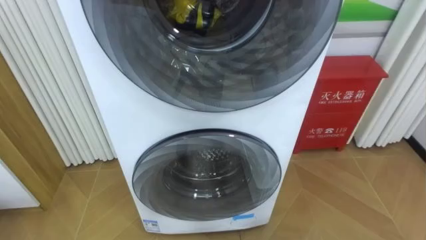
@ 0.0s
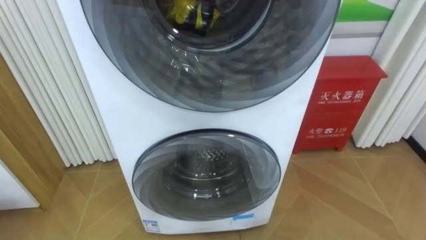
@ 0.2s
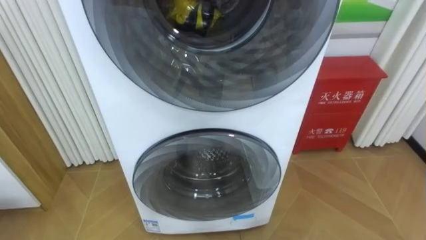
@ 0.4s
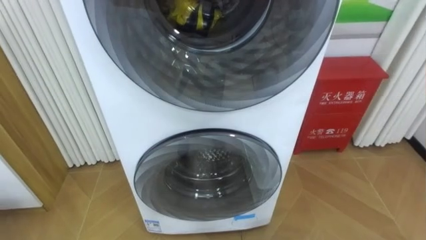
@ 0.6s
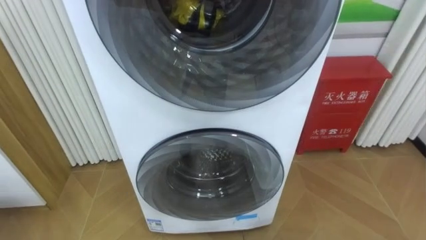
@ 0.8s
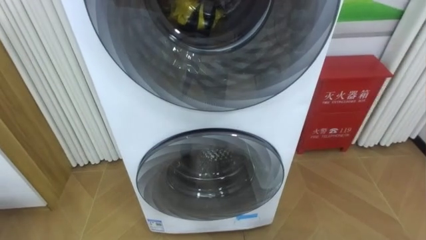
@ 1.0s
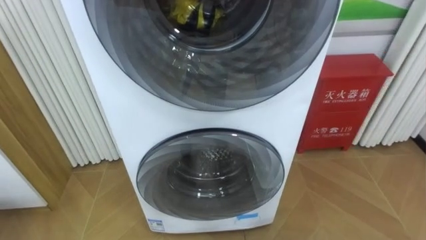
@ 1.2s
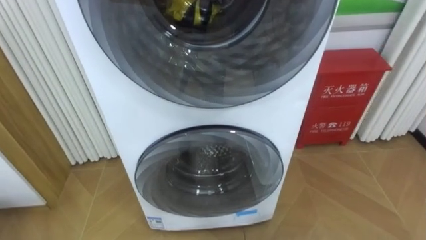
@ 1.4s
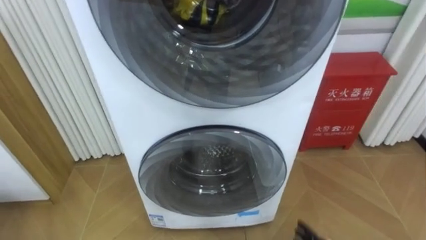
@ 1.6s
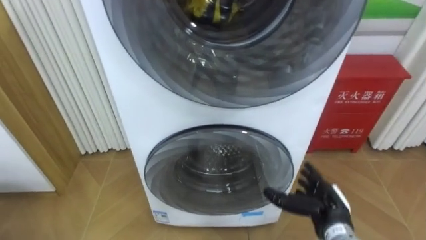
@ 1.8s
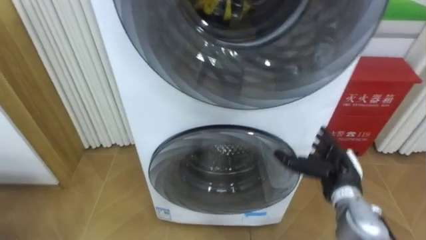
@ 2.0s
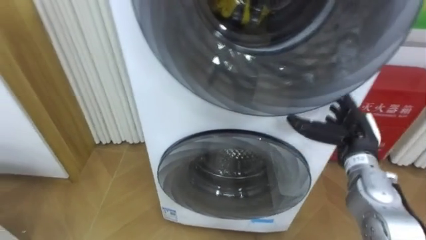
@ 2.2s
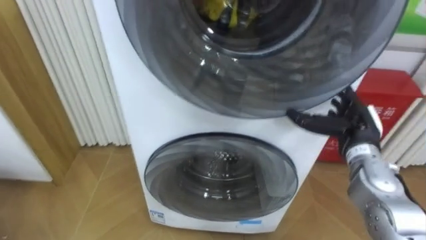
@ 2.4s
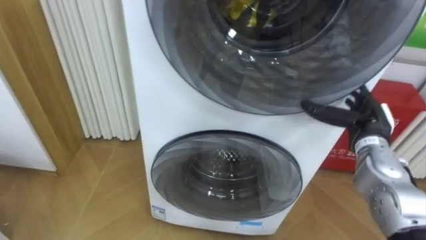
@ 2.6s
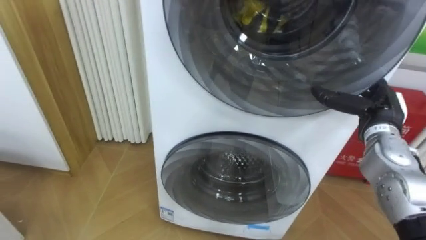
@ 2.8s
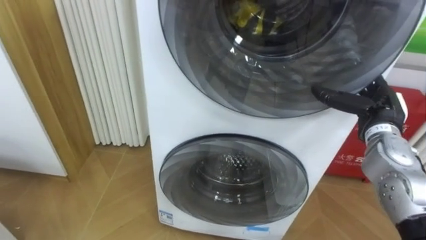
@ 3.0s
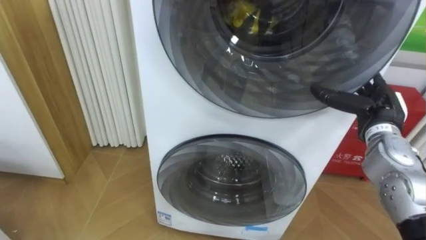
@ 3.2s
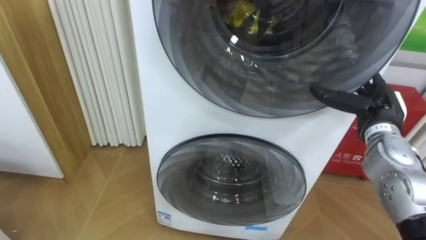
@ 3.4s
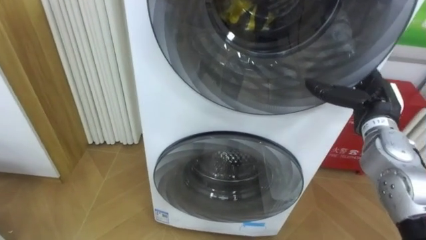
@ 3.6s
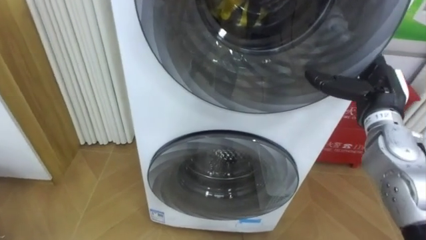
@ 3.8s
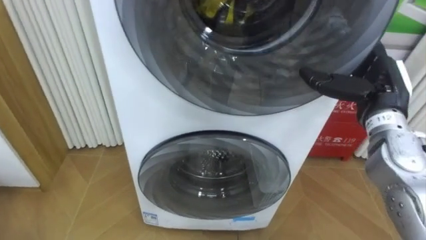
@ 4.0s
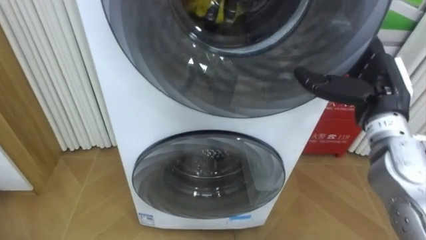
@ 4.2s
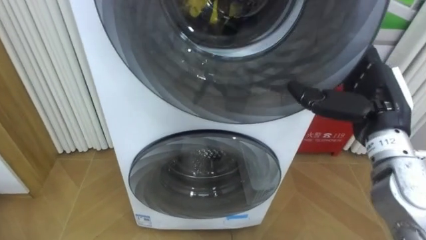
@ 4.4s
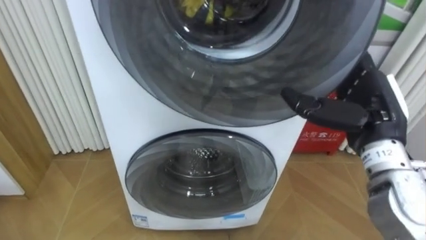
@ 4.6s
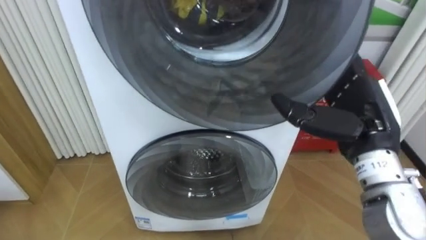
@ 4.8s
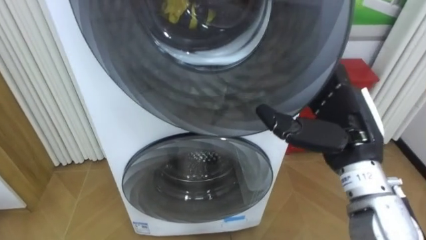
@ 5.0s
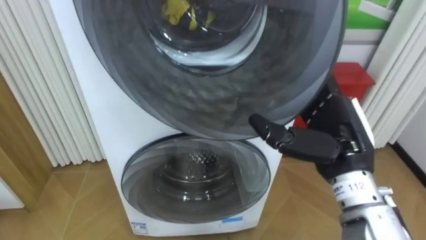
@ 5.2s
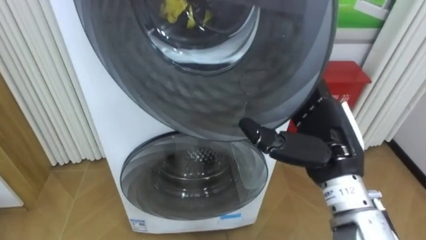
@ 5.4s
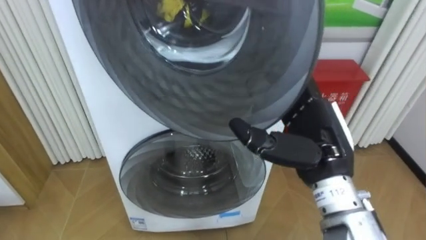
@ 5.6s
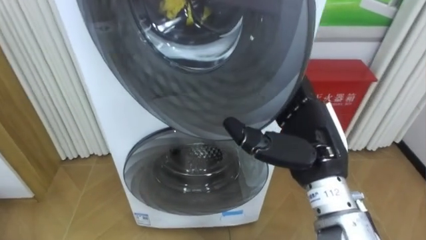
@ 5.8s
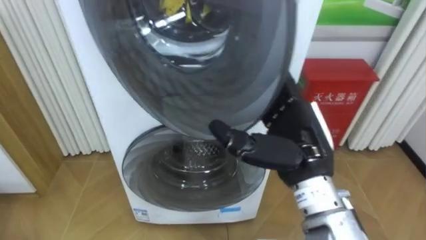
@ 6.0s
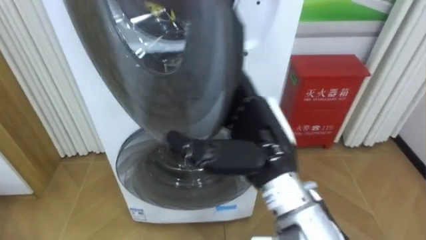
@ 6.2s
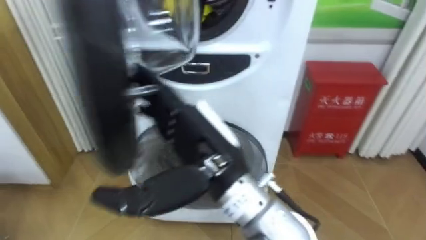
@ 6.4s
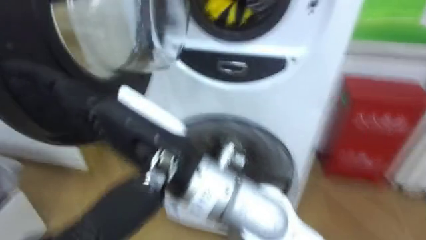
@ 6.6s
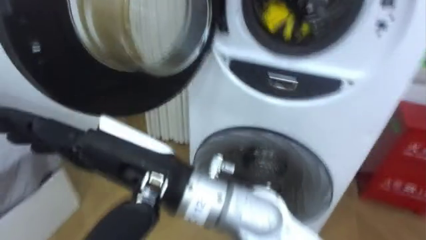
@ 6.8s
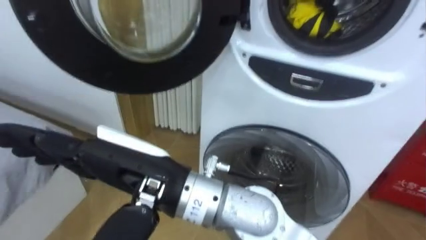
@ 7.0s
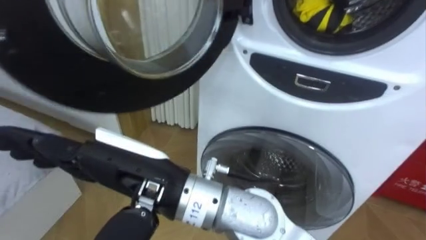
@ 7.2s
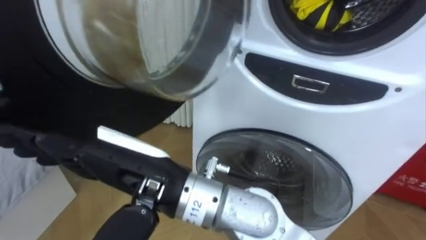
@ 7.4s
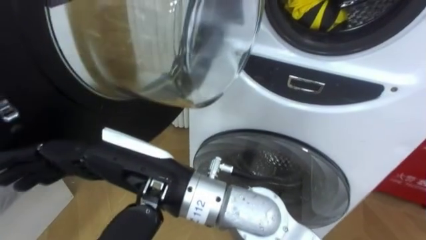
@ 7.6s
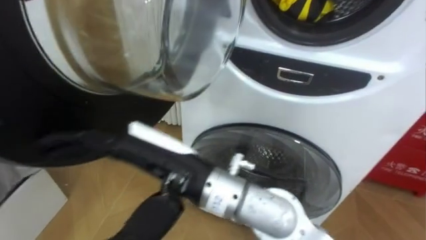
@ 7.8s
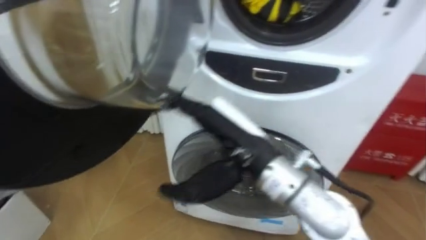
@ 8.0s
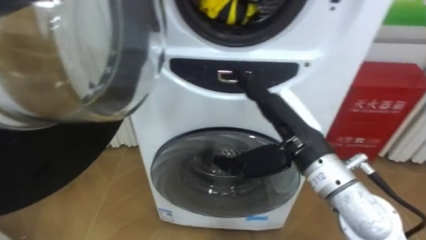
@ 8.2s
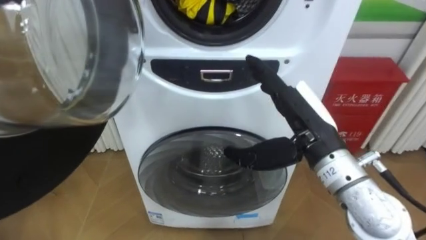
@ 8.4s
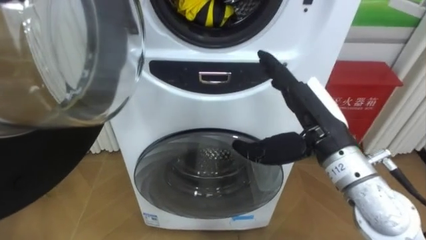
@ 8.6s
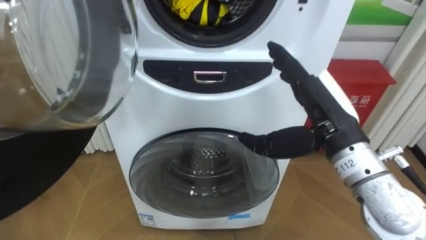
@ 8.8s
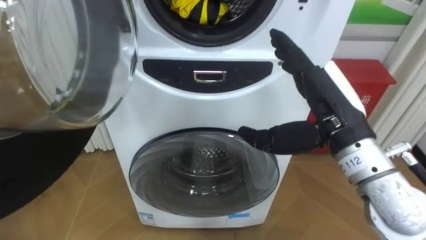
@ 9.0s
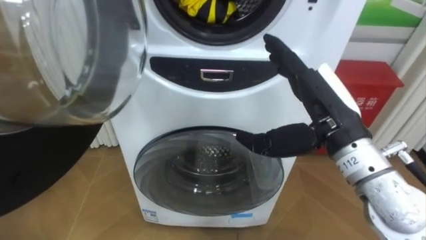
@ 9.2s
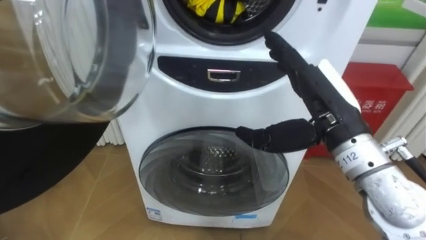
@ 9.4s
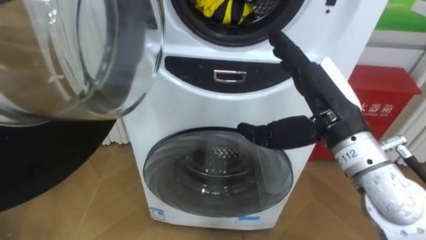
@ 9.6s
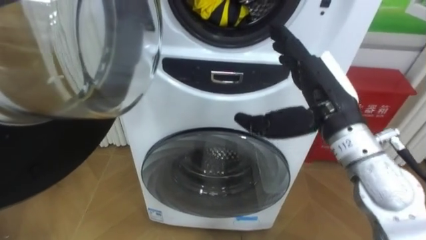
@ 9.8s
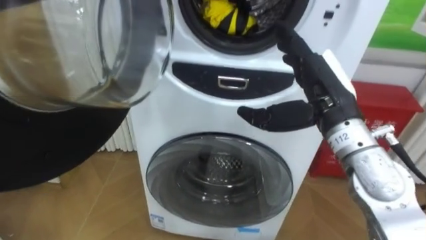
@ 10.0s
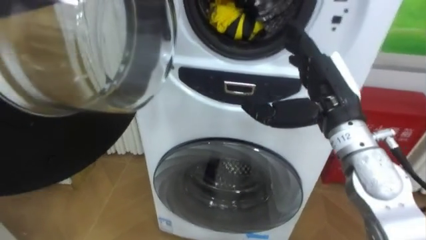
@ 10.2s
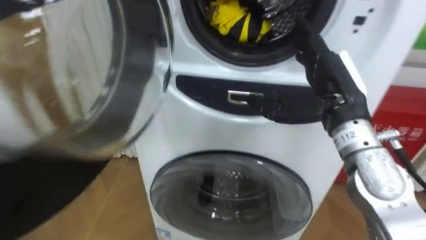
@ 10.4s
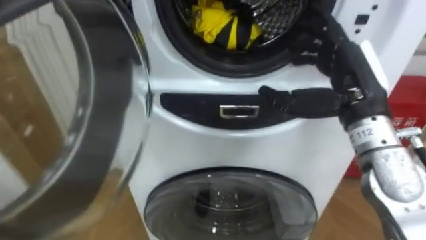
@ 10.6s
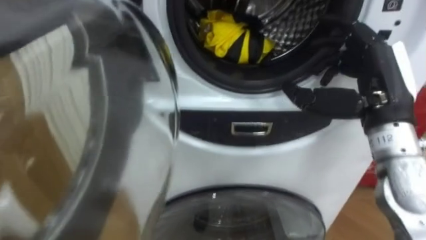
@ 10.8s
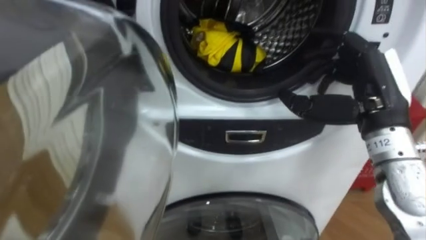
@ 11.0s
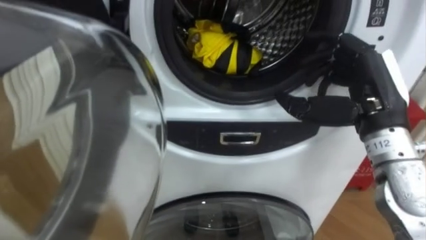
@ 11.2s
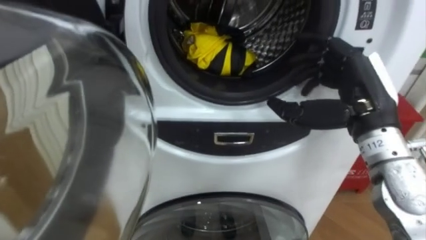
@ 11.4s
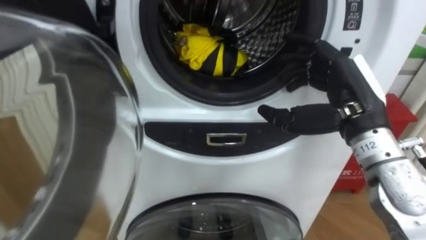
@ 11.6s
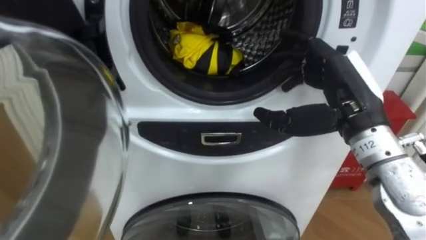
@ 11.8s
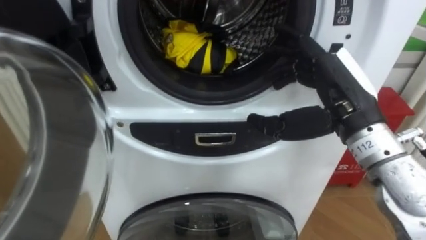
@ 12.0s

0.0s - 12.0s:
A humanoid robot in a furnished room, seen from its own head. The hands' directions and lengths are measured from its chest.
Task of the whole recording: Open the washing machine door, take out the yellow clothes, place them in the box on the right, and close the washing machine door.
3.0s - 4.4s: The right hand goes approximately 10 cm upward, backward and to the left.
4.4s - 6.0s: The right hand moves to the left and backward, about 15 cm.
6.0s - 7.6s: The right hand travels to the left by approximately 20 cm.
7.6s - 9.0s: The right hand is displaced to the right by roughly 25 cm.

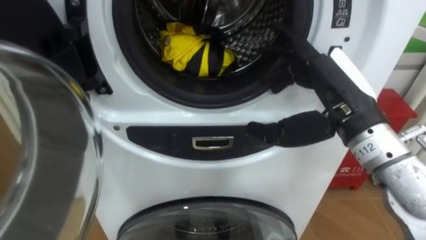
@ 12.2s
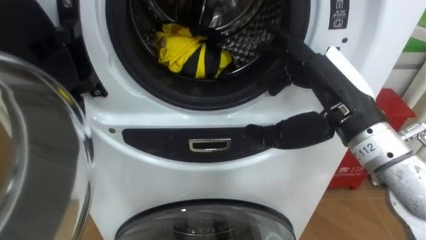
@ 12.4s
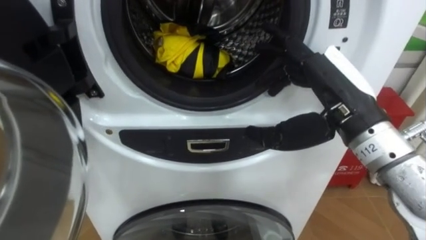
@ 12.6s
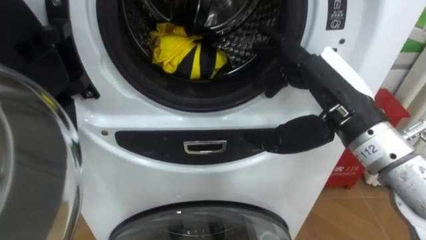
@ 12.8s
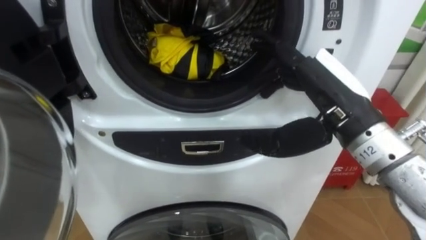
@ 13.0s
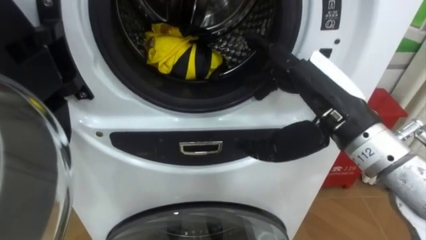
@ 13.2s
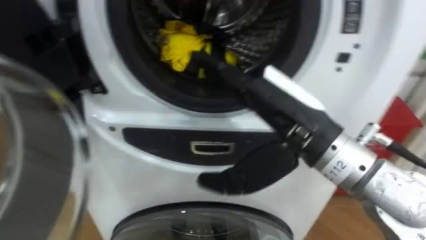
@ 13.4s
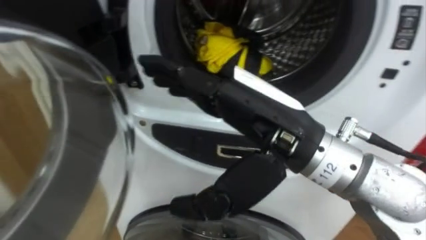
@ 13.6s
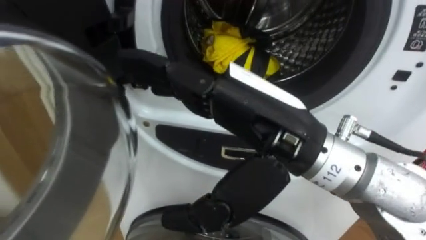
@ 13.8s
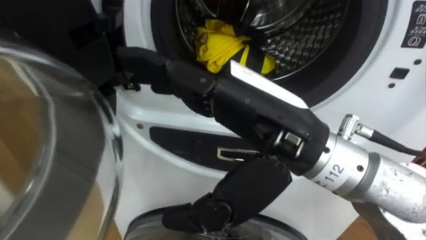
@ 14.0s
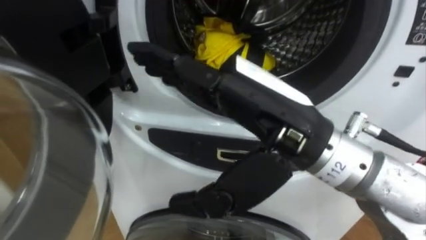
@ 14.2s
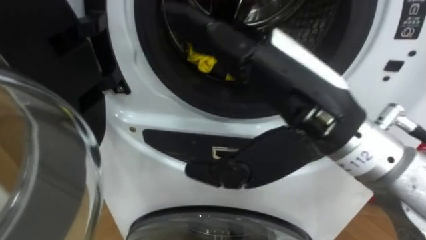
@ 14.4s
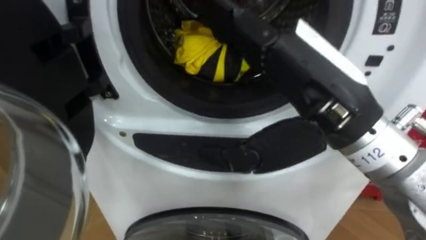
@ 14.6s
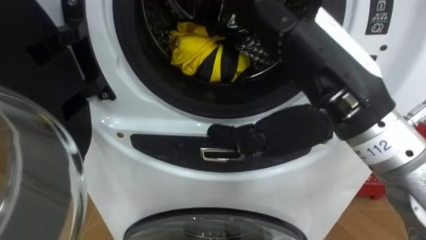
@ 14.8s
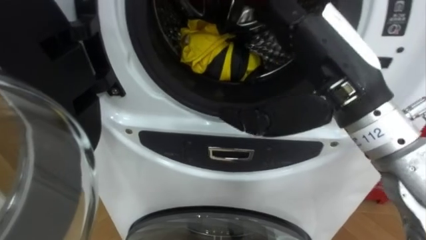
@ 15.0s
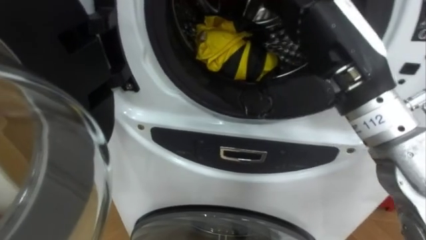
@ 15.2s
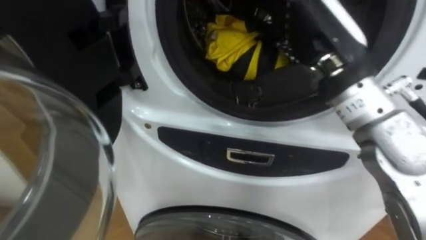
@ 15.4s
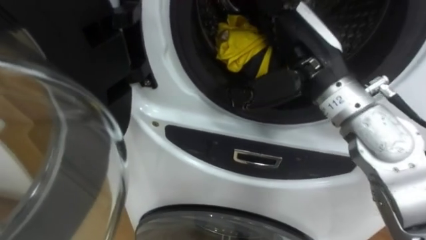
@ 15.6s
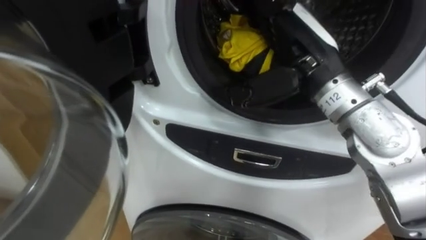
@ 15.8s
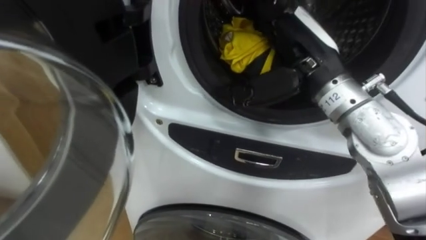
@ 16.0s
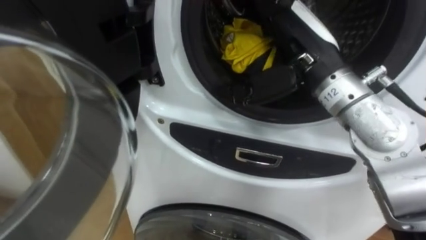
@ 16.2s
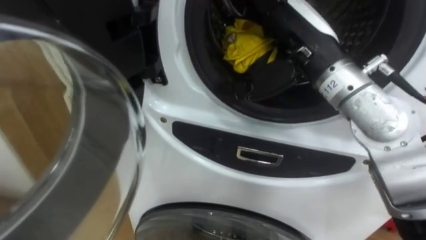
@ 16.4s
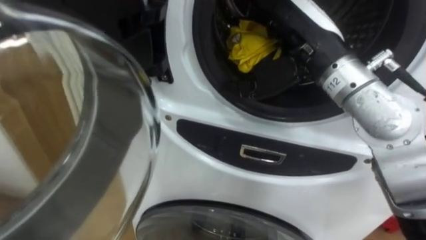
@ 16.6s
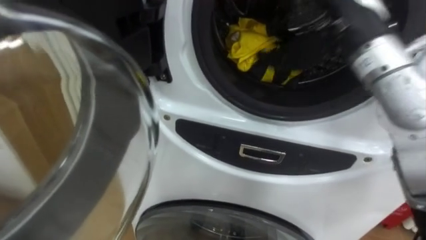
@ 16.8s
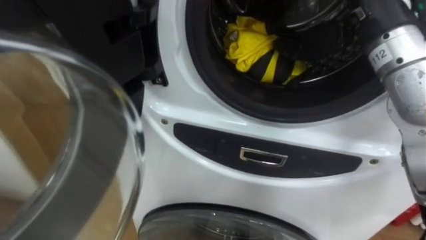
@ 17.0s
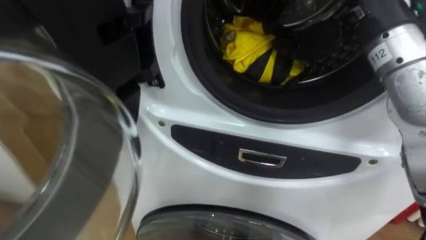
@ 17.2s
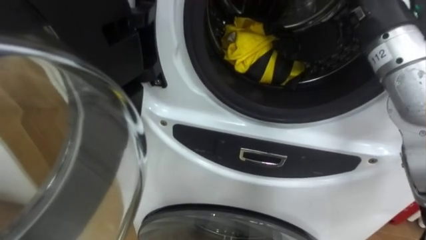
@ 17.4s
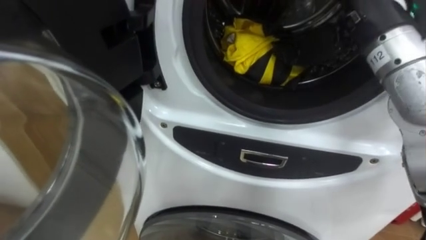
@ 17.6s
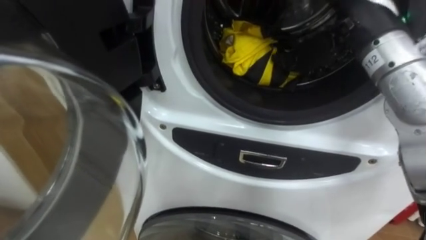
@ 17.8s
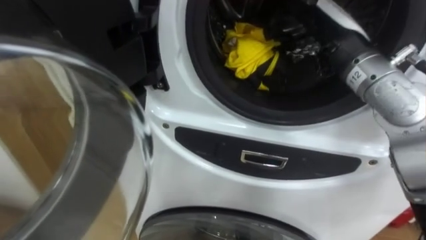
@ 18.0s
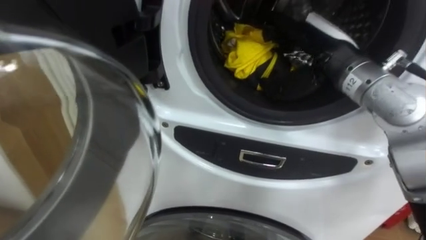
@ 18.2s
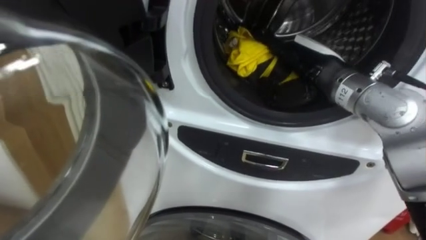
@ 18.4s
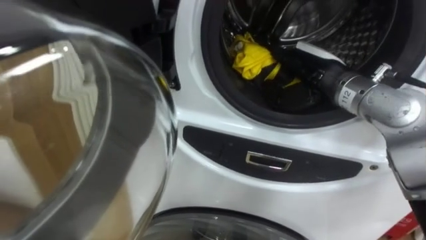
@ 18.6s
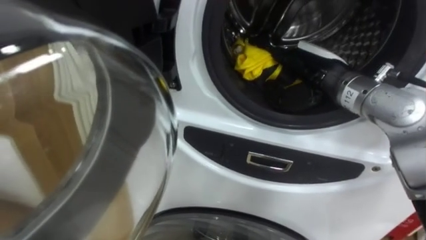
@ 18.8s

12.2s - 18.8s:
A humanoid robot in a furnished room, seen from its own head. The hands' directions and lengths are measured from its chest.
Task of the whole recording: Open the washing machine door, take out the yellow clothes, place them in the box on the right, and close the washing machine door.
12.2s - 13.8s: The right hand goes some 15 cm to the left and backward.
13.8s - 15.4s: The right hand goes roughly 10 cm forward and to the right.
15.4s - 17.2s: The right hand is displaced to the right by about 5 cm.
17.2s - 18.8s: The right hand goes approximately 10 cm downward.
